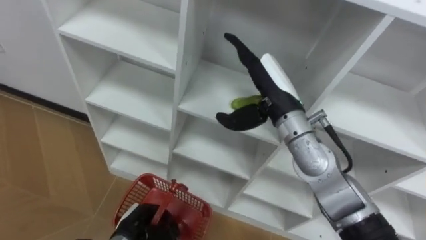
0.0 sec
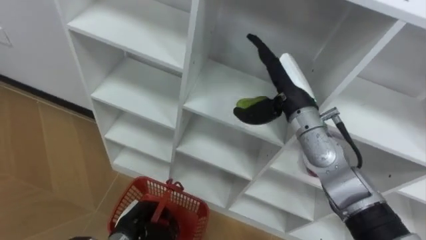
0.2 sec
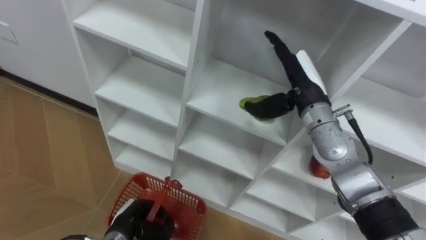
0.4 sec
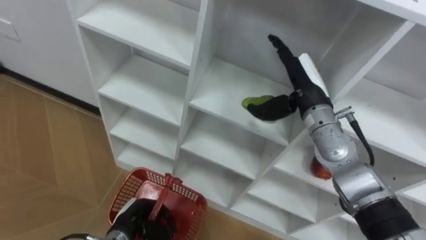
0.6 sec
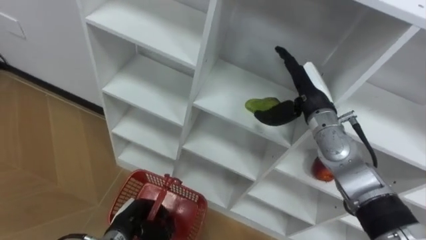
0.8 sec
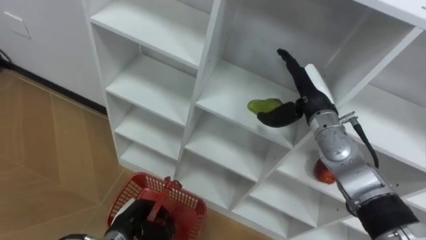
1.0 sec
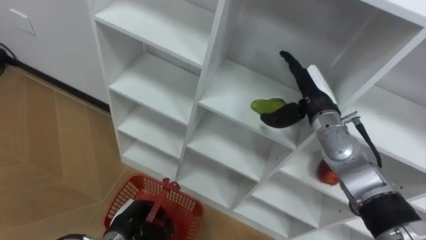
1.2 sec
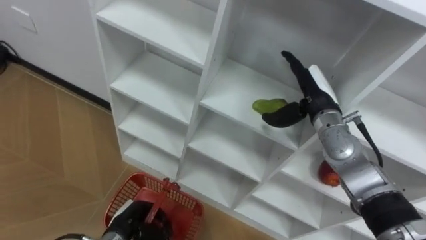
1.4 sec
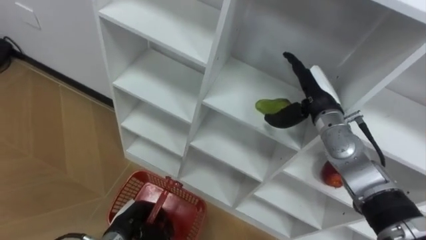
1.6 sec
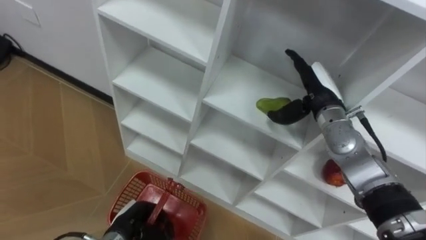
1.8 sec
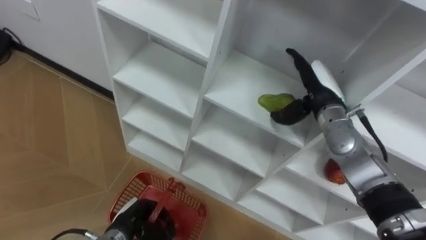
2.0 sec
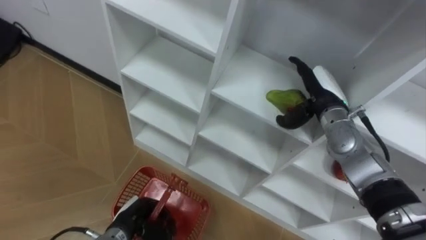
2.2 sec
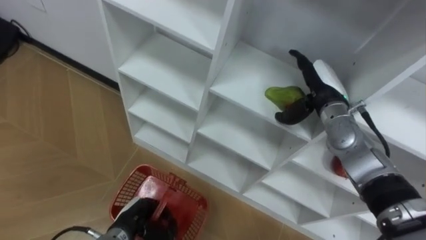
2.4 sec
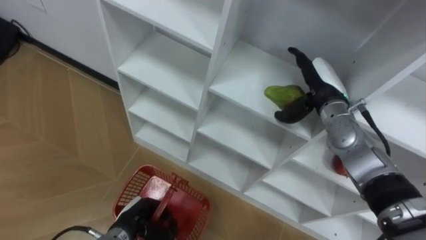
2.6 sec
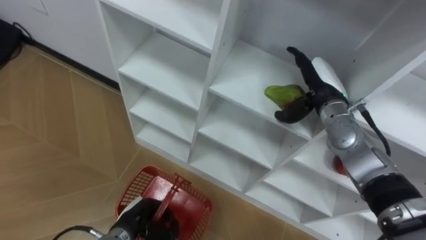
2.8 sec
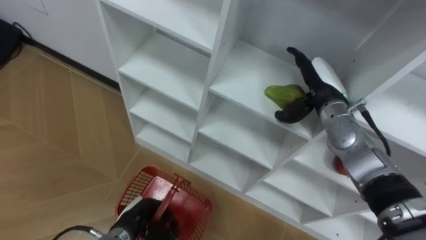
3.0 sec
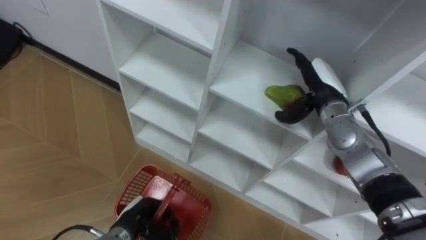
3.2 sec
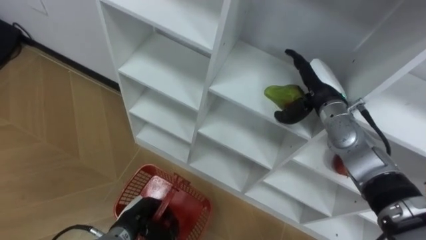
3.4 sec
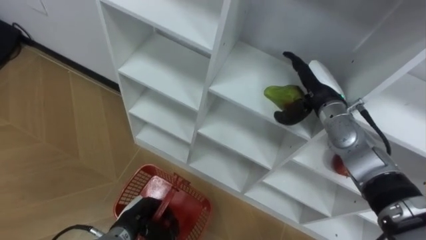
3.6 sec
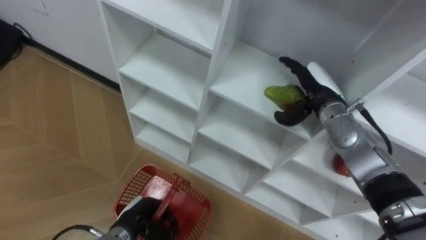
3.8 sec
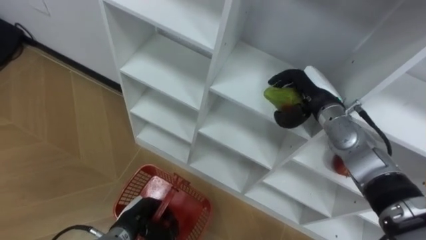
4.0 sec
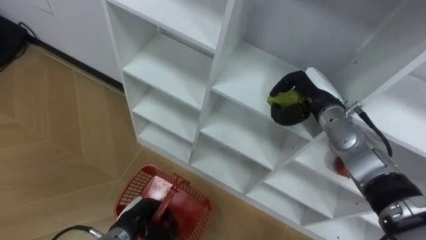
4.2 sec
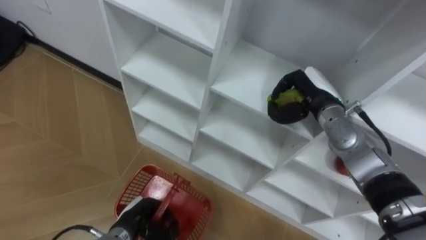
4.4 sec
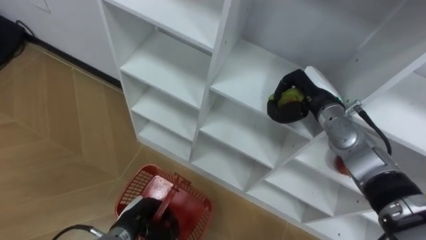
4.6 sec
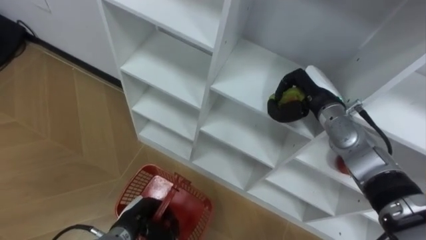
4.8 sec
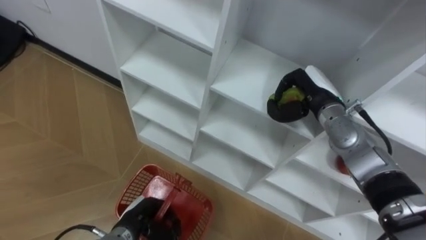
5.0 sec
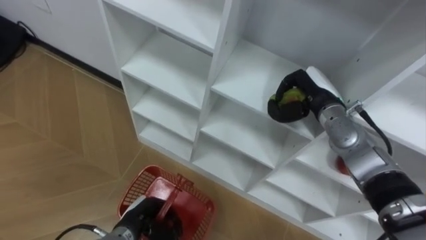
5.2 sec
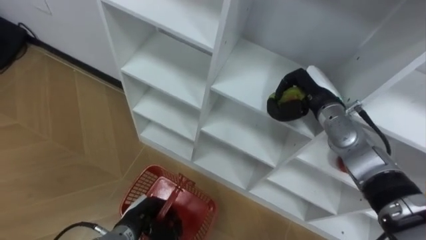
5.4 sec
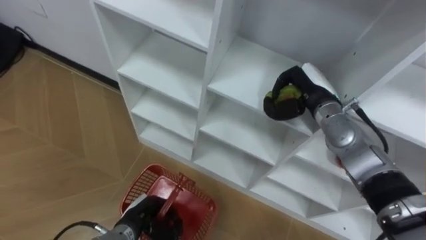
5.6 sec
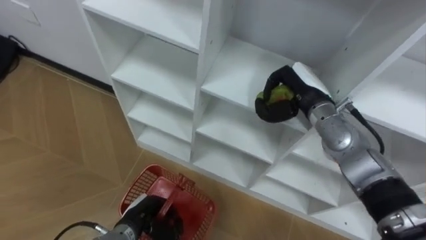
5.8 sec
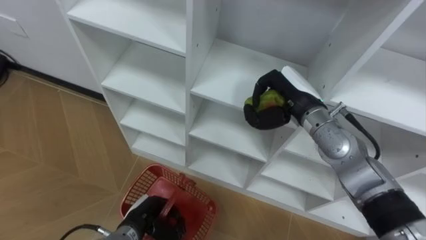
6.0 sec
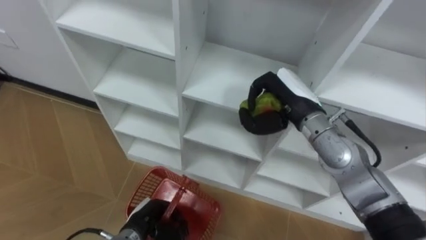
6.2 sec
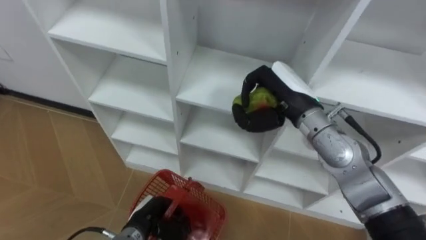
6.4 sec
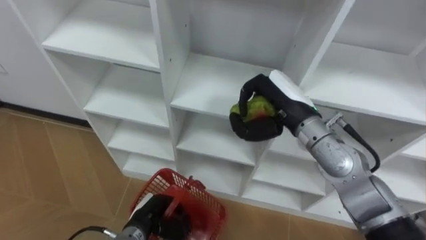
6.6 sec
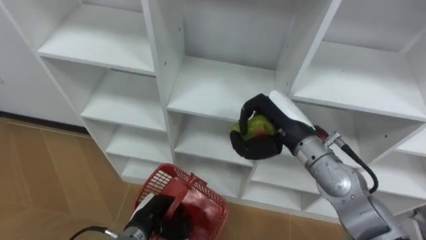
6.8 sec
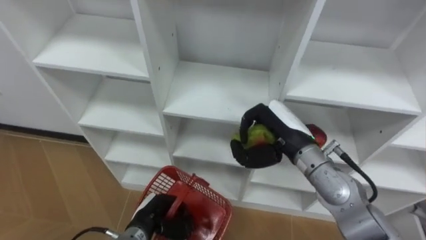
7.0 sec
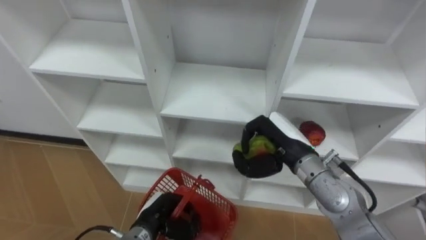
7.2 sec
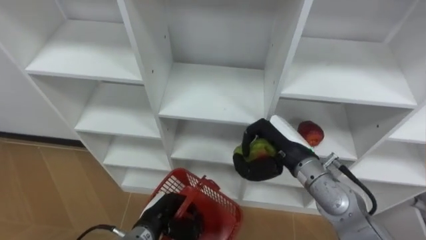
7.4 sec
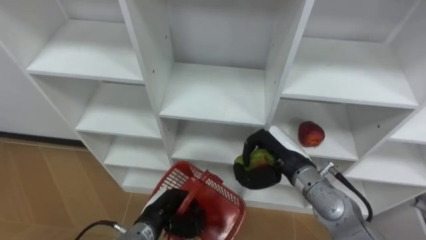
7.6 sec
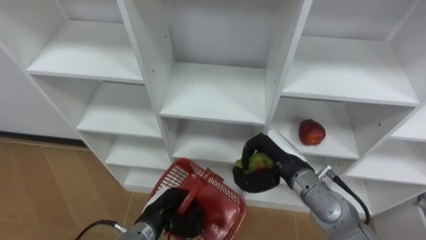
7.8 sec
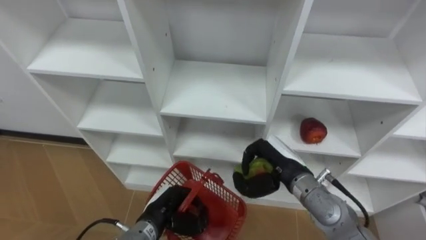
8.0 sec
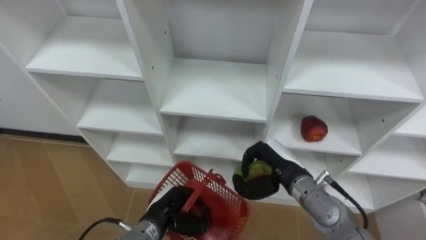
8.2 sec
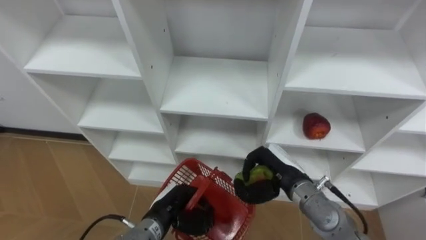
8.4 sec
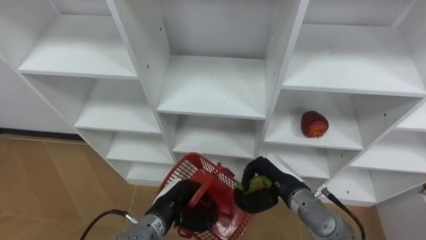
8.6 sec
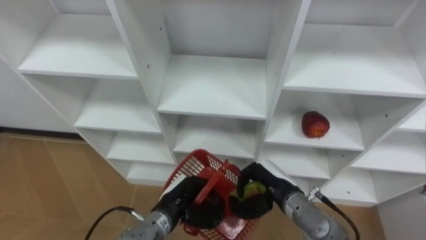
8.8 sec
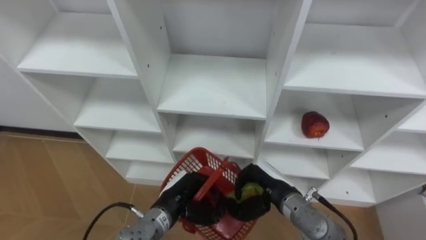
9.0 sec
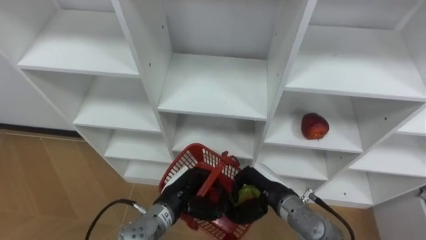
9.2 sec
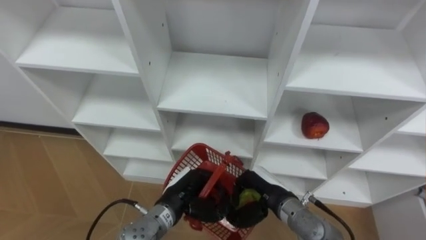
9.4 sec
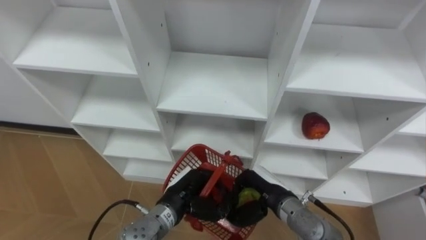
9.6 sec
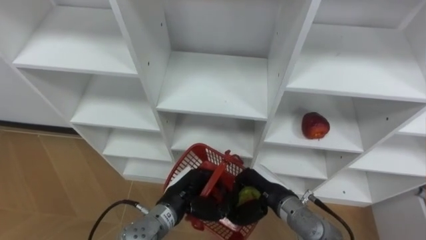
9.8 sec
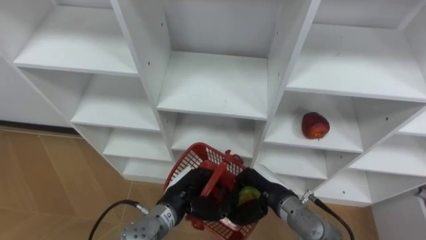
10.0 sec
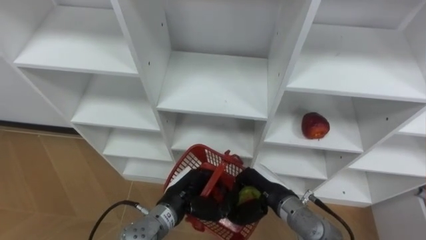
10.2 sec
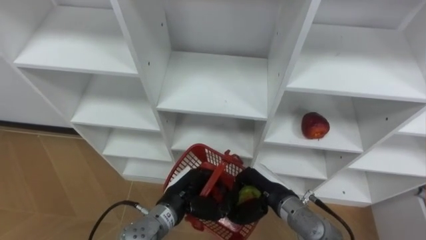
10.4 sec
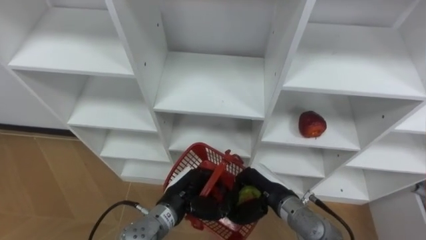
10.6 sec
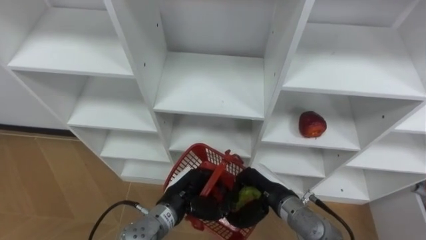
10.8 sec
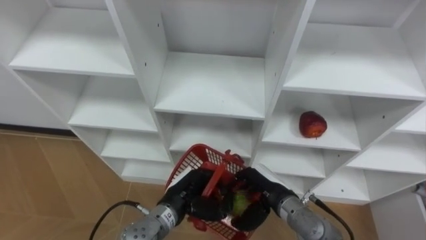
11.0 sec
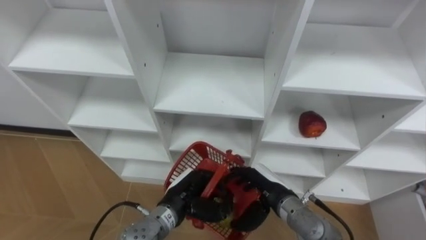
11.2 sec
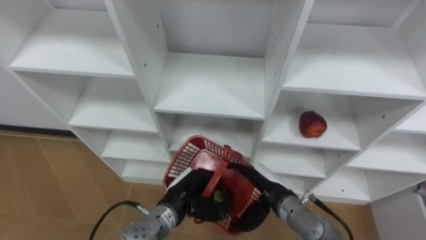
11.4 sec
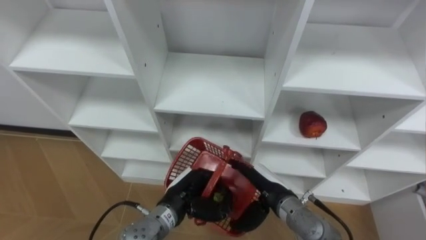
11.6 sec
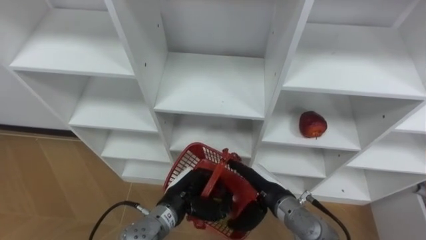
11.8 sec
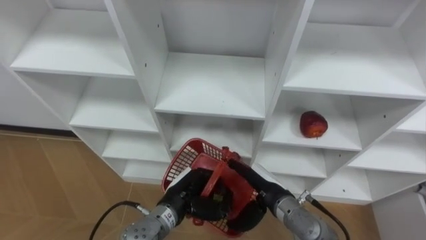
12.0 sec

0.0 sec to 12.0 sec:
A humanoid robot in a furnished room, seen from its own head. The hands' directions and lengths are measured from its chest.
Task of the whole recording: Hold the basket and collect the fruits from 3 different cells of the closet into it.
0.0 sec to 1.6 sec: The right hand moves to the right and downward, some 10 cm.
3.0 sec to 4.4 sec: The right hand closes.
4.4 sec to 6.0 sec: The right hand ends up approximately 5 cm from where it was.
6.0 sec to 7.6 sec: The right hand is displaced backward and downward by roughly 10 cm.
7.6 sec to 9.0 sec: The right hand heads downward, covering roughly 5 cm; the left hand ends up about 5 cm from where it was.
9.0 sec to 10.4 sec: The hands stay close to where they were, moving slightly.
10.4 sec to 12.0 sec: The right hand opens.

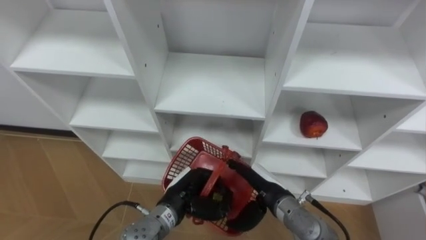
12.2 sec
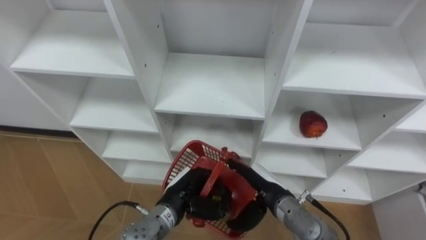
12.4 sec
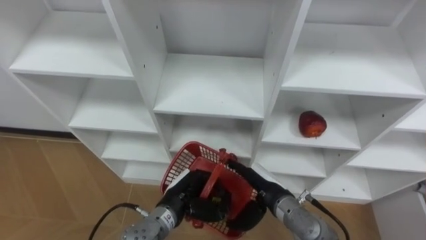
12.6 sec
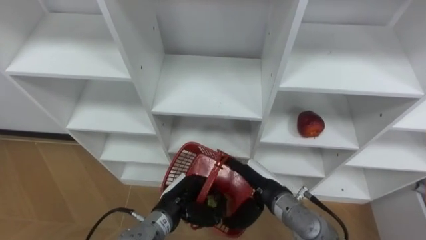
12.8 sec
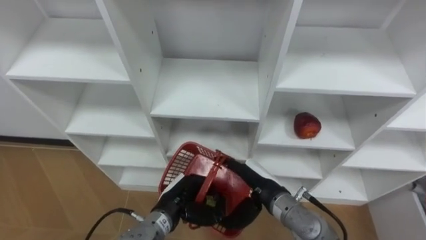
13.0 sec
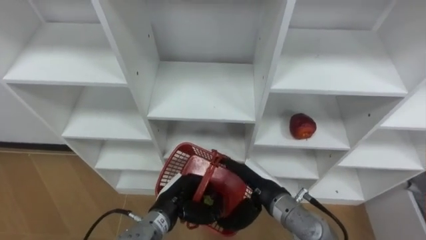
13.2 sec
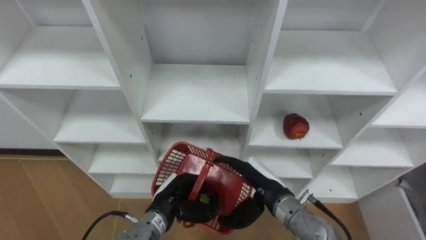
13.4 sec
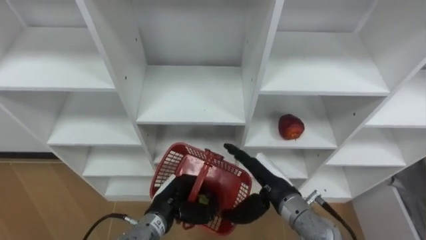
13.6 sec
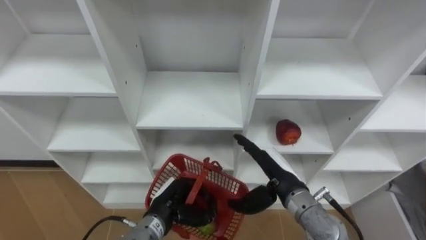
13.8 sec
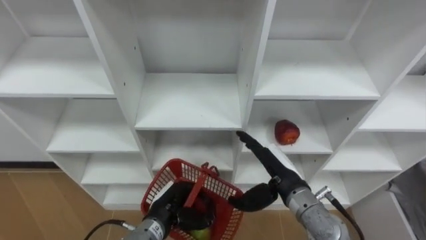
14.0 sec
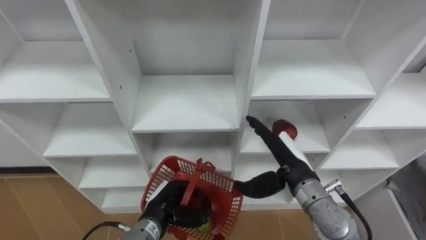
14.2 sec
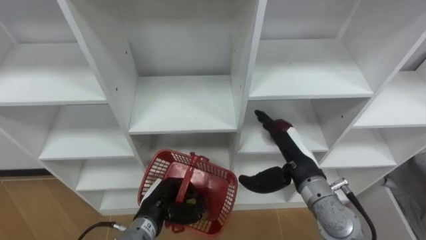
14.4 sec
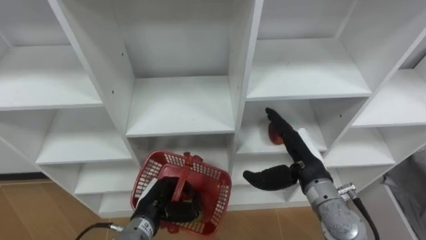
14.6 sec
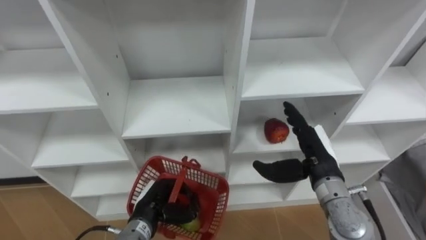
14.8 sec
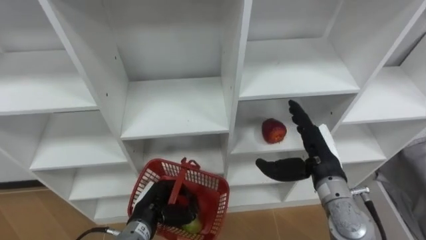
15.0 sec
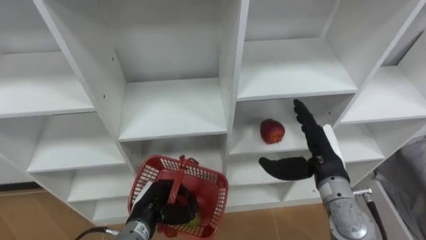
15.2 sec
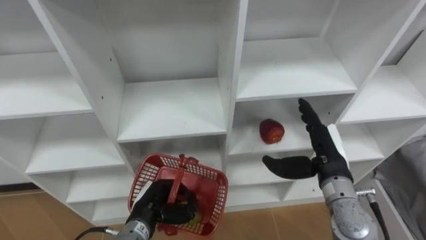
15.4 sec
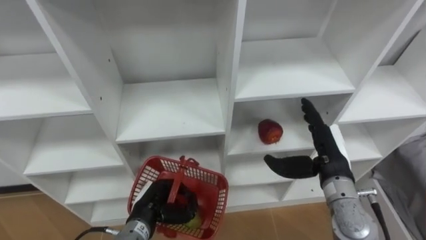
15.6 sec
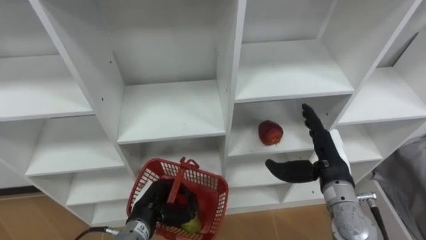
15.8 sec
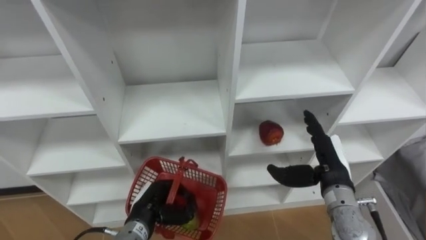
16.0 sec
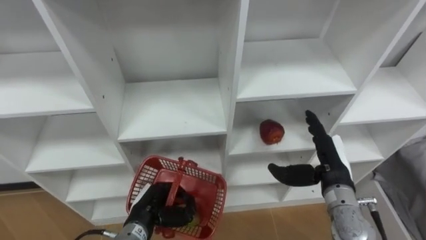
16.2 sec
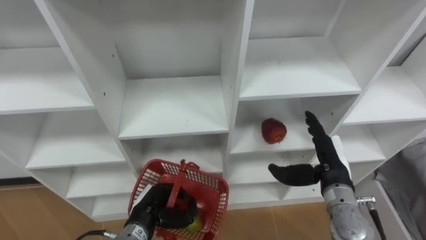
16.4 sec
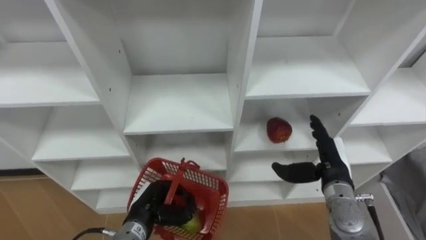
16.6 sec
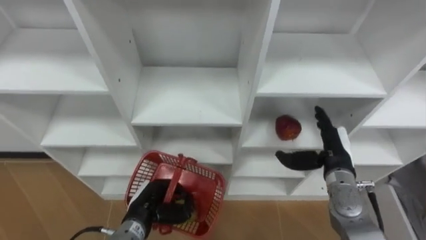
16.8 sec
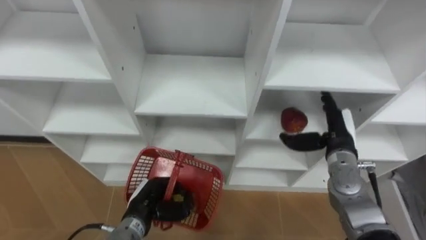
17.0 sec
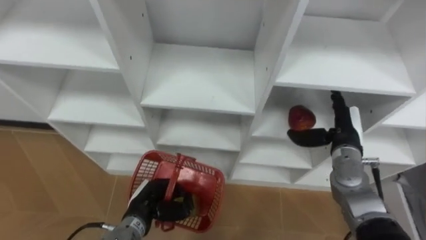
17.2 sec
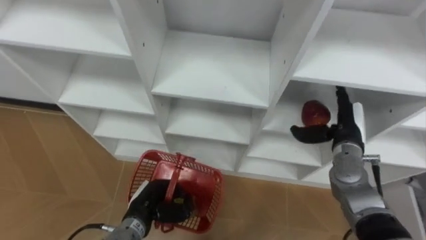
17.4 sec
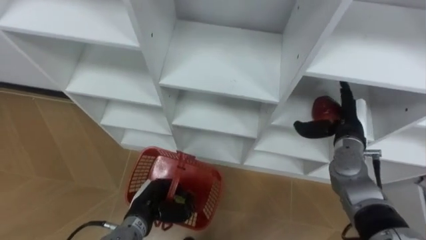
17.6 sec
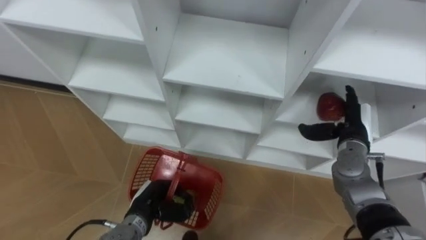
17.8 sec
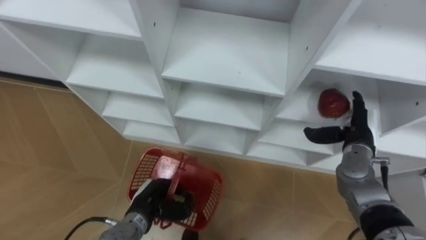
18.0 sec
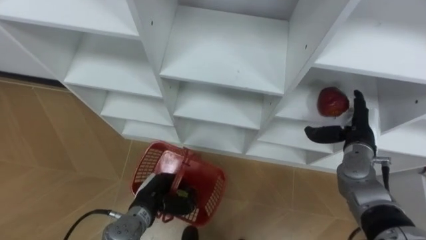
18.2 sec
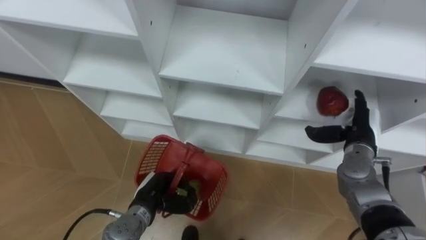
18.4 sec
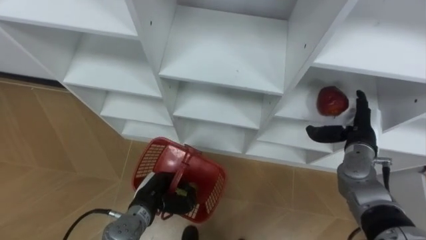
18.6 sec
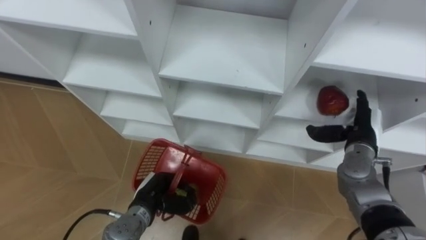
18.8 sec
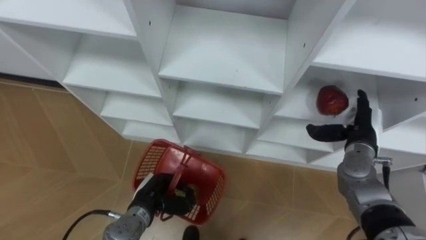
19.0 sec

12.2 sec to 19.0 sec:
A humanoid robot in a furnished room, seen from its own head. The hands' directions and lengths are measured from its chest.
Task of the whole recording: Hold the basket and collect the fruits from 3 different cells of the closet into it.
13.6 sec to 15.0 sec: The right hand heads to the right, covering about 10 cm.
16.2 sec to 17.6 sec: The right hand travels forward by approximately 10 cm.
